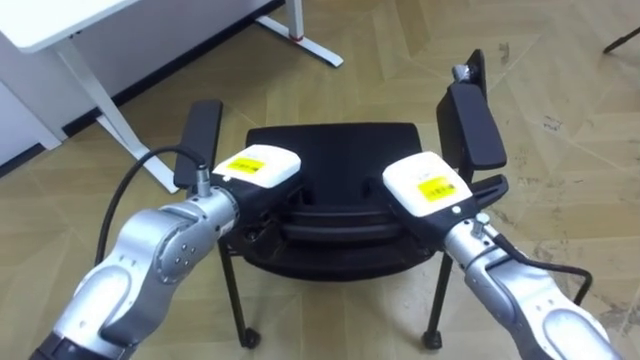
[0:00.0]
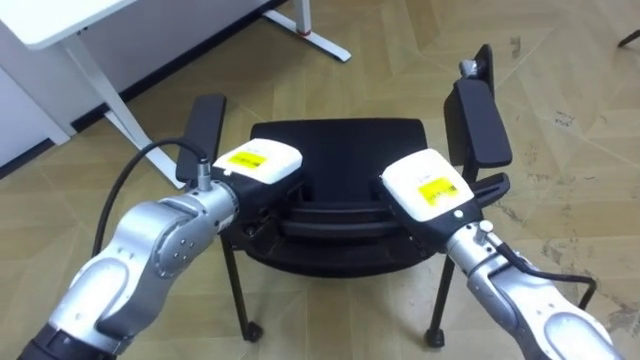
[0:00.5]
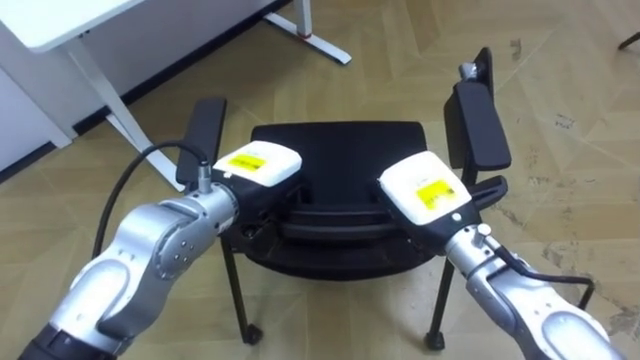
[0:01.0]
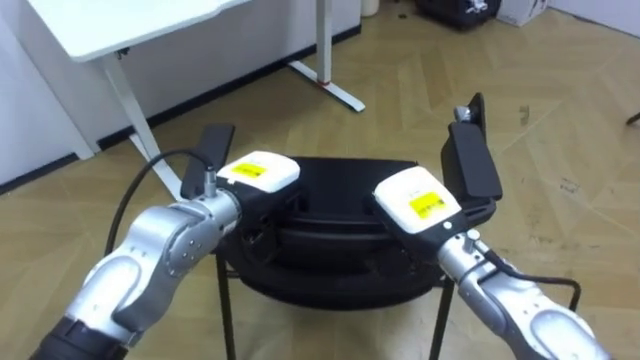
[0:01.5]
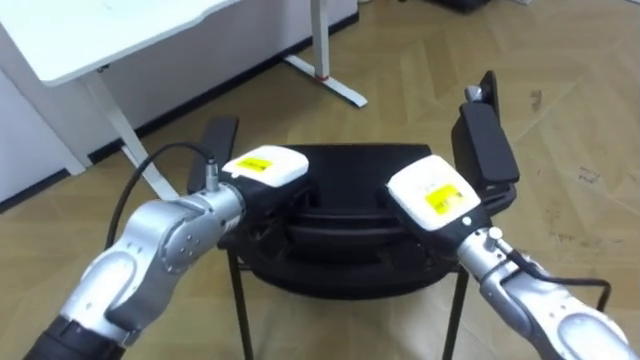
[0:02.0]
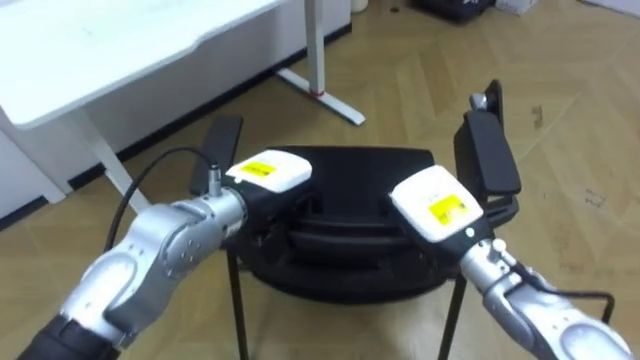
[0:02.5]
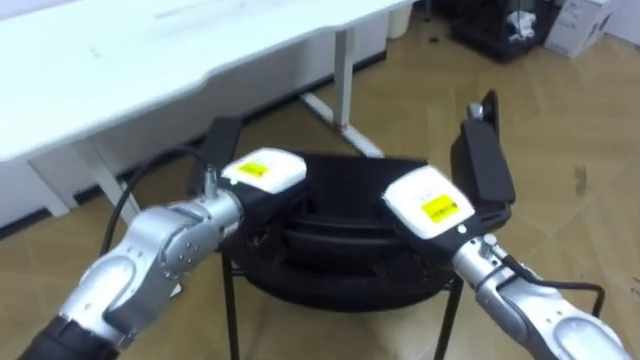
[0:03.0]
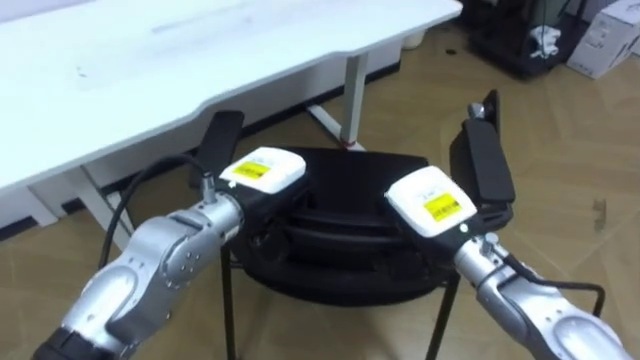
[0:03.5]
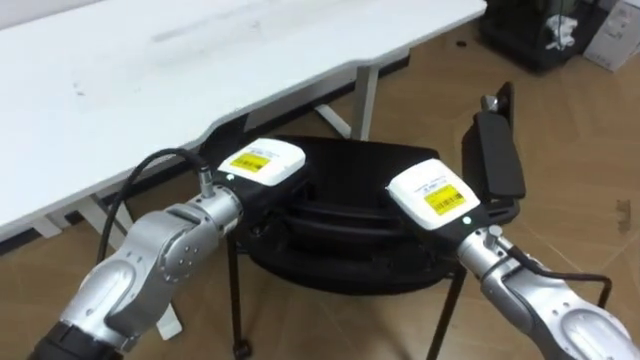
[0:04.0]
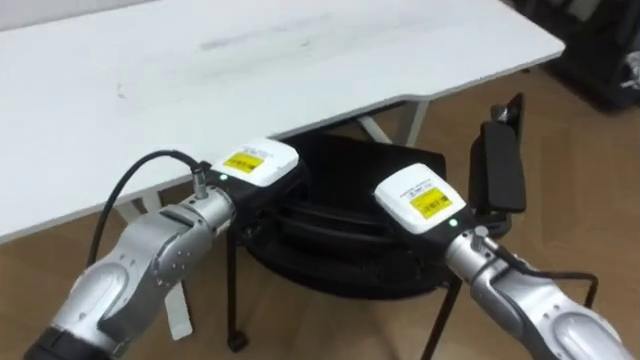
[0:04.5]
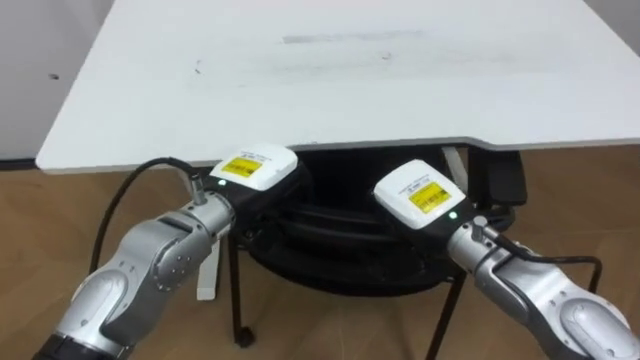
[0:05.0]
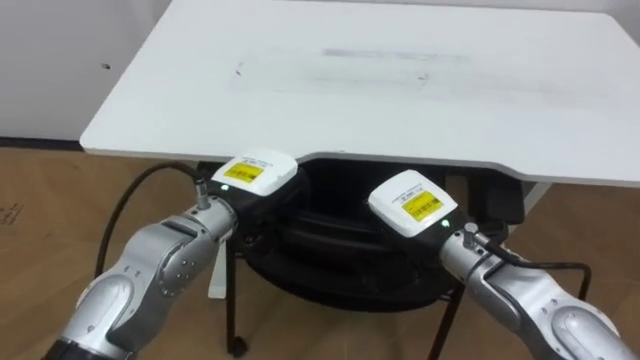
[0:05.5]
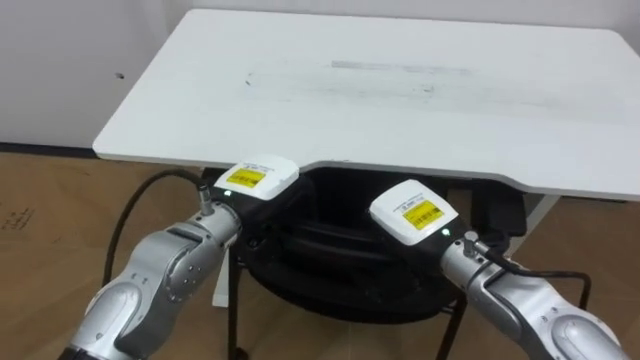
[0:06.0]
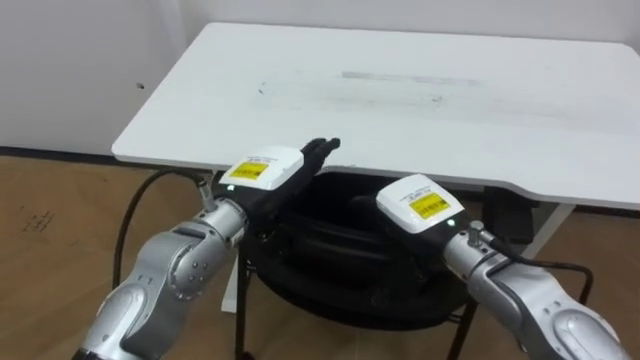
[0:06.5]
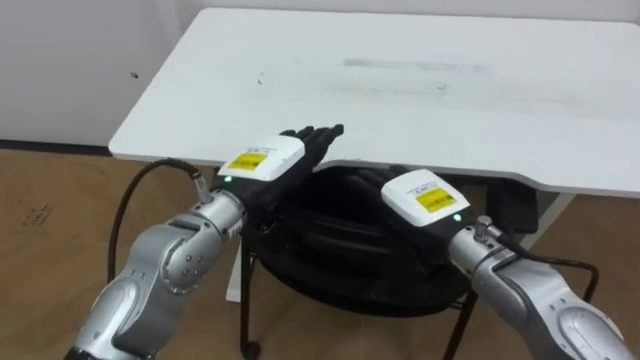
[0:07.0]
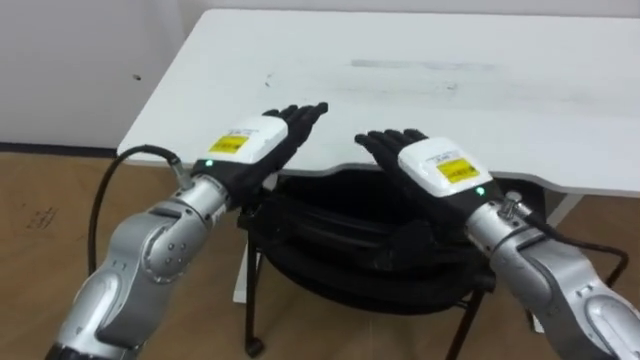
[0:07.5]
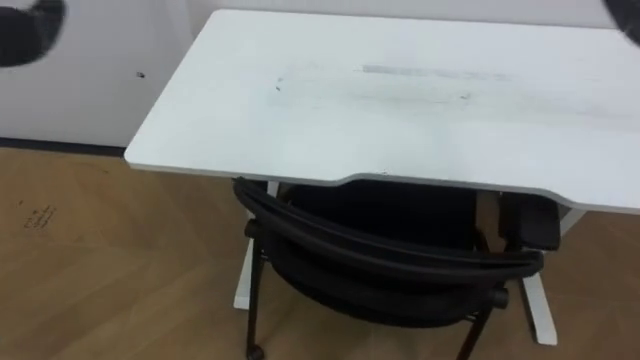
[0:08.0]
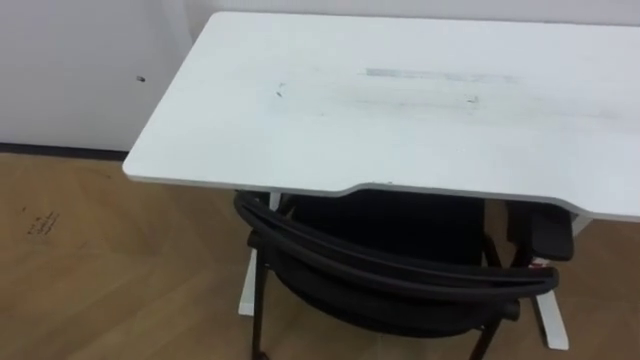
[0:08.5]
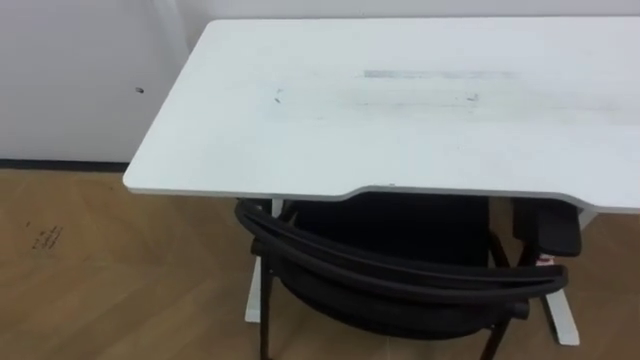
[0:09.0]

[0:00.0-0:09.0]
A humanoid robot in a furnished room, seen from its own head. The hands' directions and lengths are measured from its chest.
Task of the whole recording: Push the chair under the table.
0:00.0 to 0:02.0: The right hand closes its fingers.
0:02.0 to 0:04.5: The robot rotates about 20 degrees to its left.
0:04.5 to 0:07.0: The robot's body swings some 30 degrees to its left. The right hand opens its fingers. Meanwhile the left hand opens up.

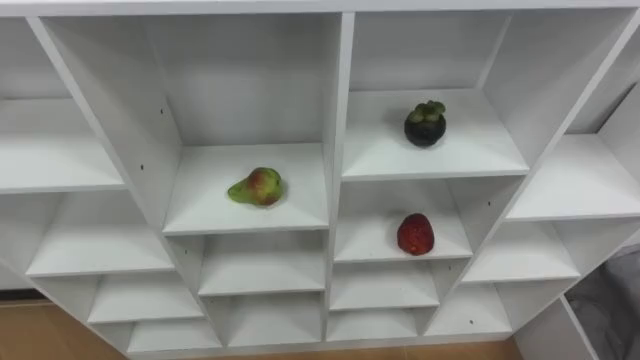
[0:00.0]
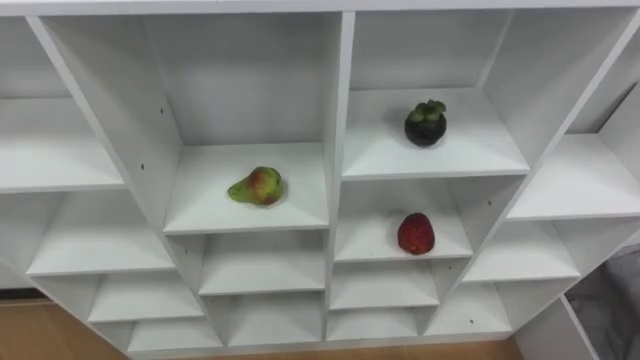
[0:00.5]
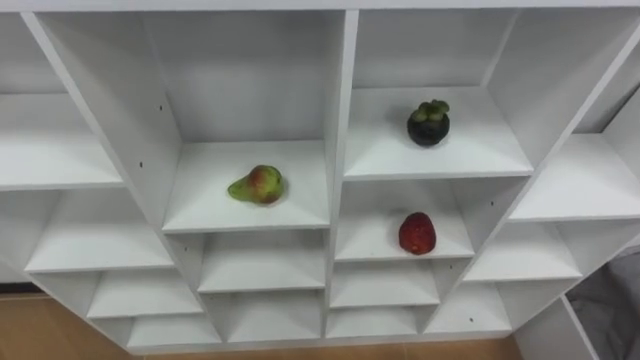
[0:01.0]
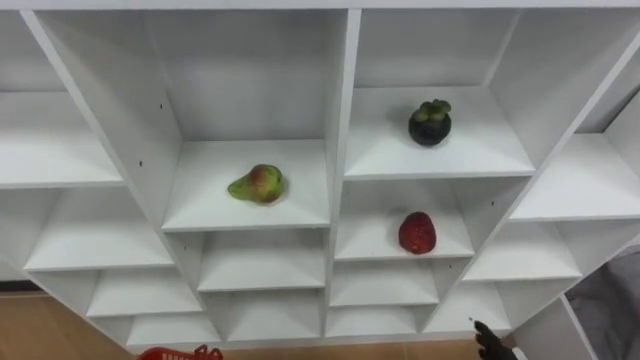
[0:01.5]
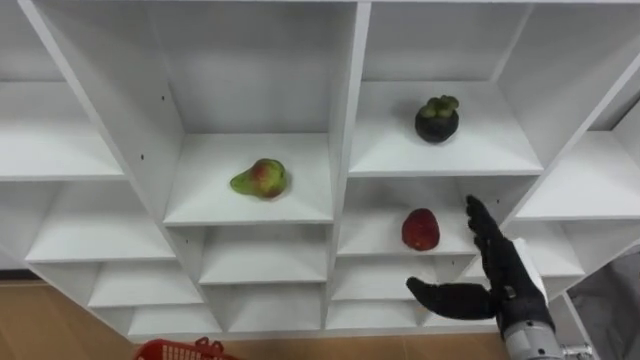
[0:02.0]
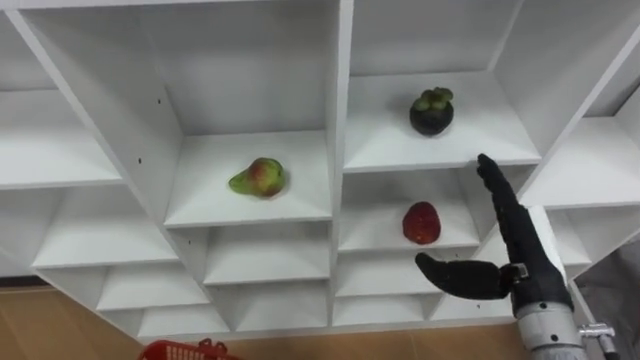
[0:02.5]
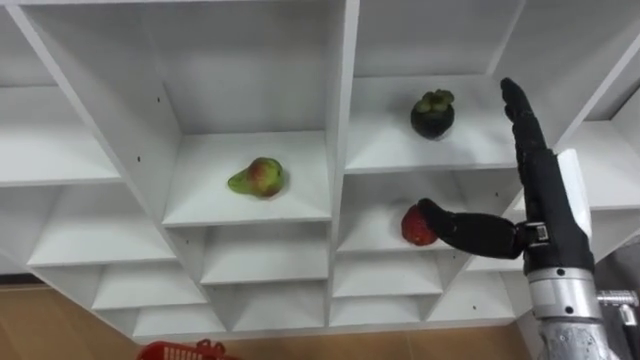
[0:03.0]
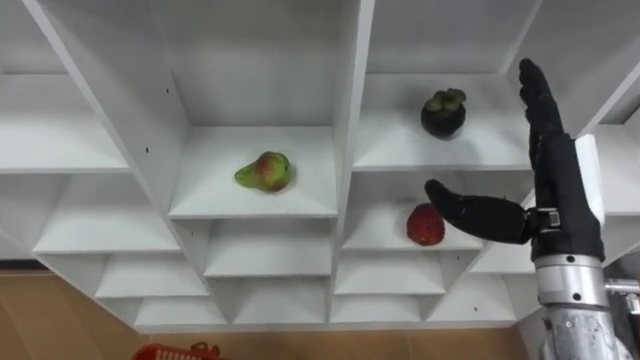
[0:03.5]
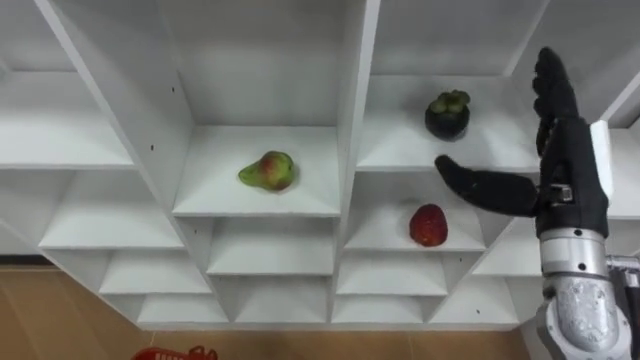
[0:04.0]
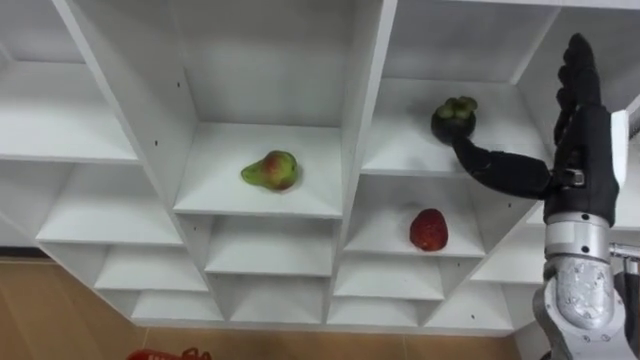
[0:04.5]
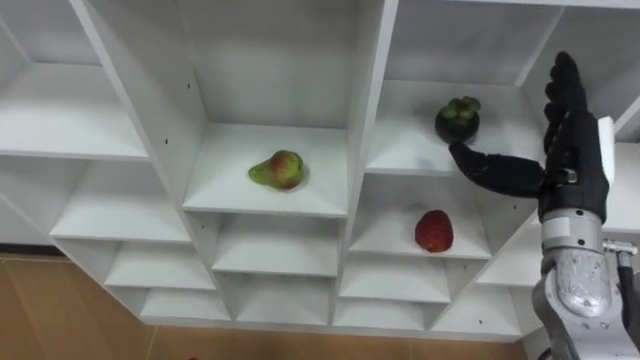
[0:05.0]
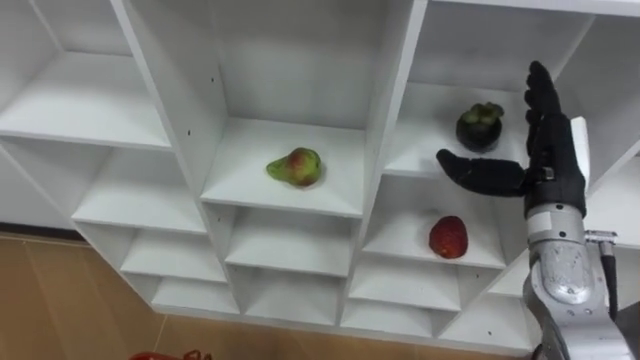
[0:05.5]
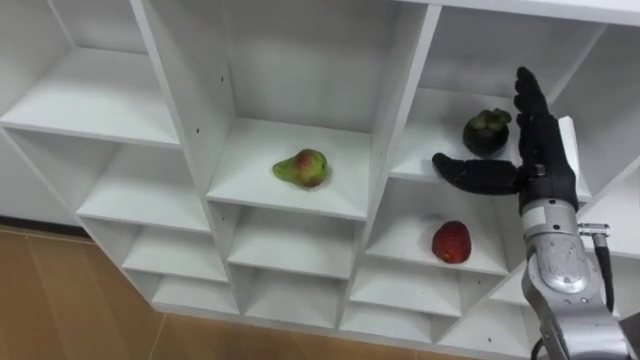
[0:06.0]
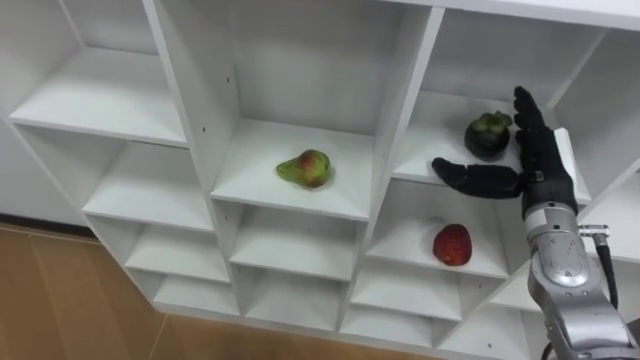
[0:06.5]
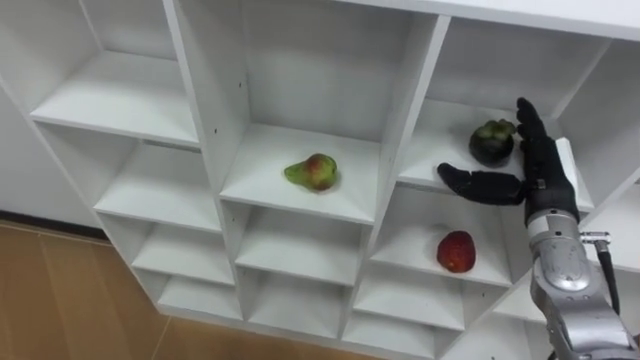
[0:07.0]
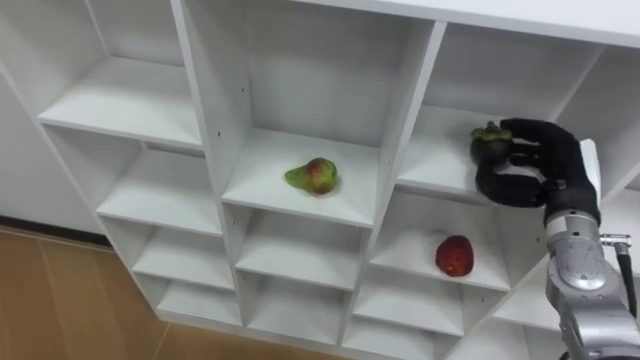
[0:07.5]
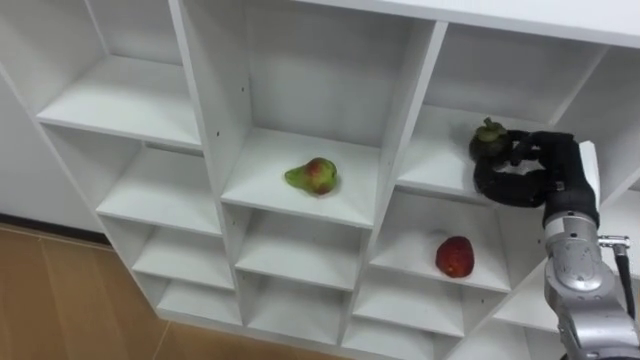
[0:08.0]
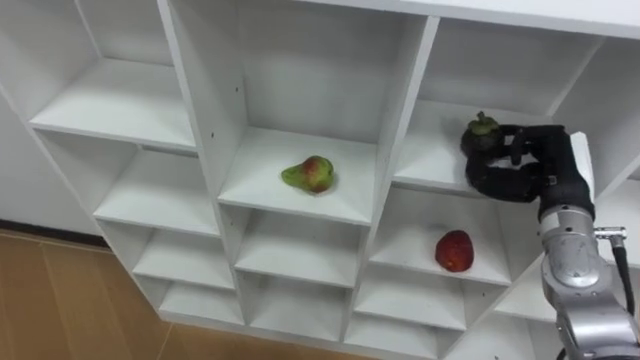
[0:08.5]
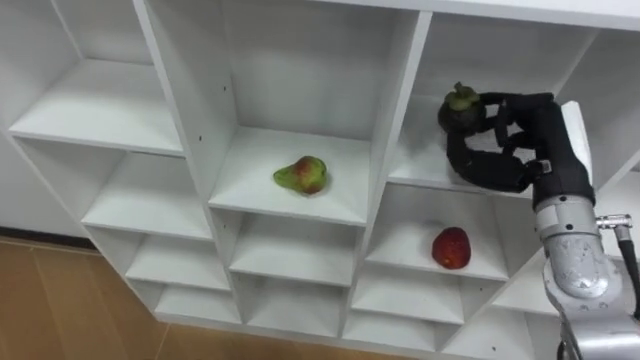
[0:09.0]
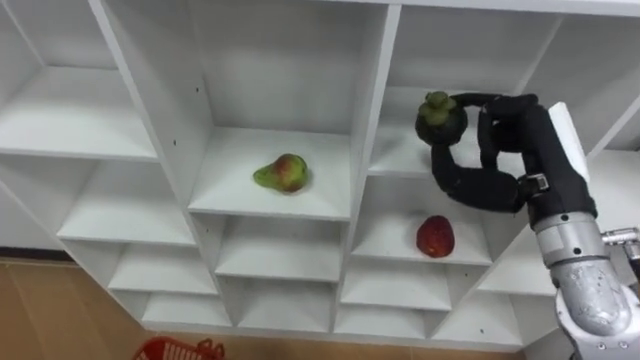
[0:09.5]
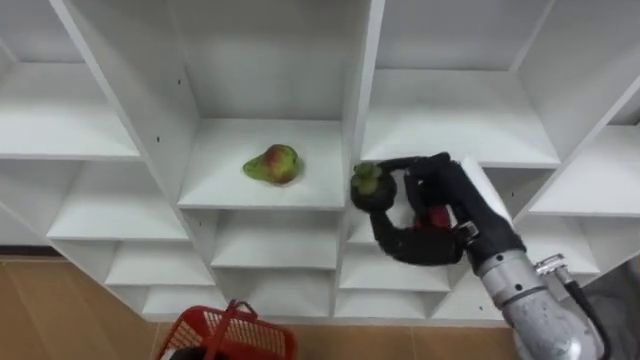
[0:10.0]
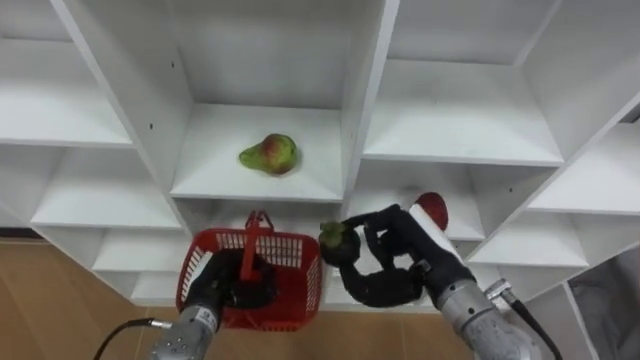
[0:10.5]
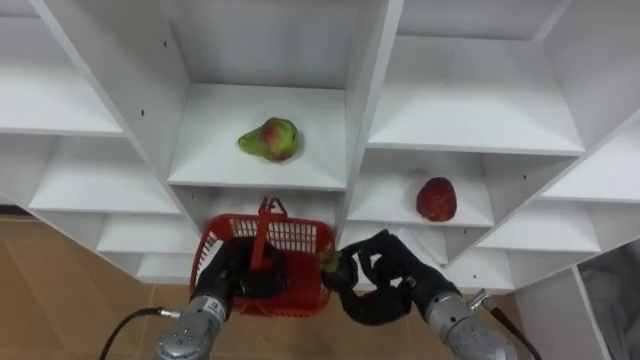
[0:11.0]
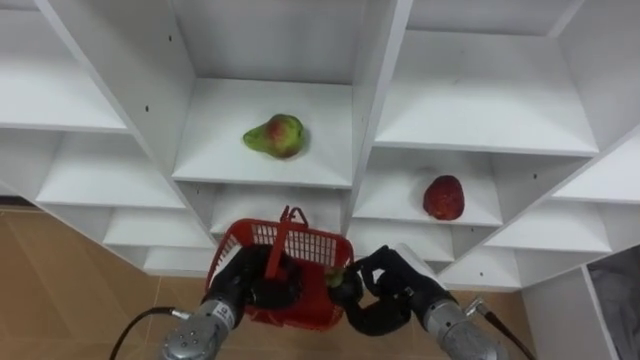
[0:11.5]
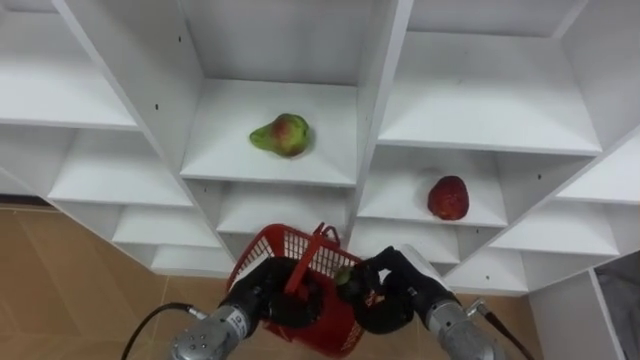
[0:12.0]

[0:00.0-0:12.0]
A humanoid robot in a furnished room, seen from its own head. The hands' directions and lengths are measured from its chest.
Task of the whole recording: Hold the basket and collect the fruits from 3 different cells of the closet into it.
0:02.0 to 0:04.0: The right hand travels upward by about 15 cm.
0:04.0 to 0:06.0: The right hand shifts about 5 cm forward.
0:06.0 to 0:08.0: The right hand changes place by some 5 cm, and closes.
0:08.0 to 0:10.0: The right hand goes approximately 15 cm to the left and backward.
0:10.0 to 0:12.0: The right hand moves downward, roughly 15 cm.
